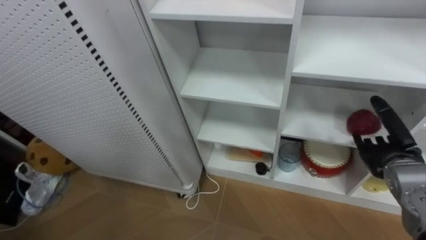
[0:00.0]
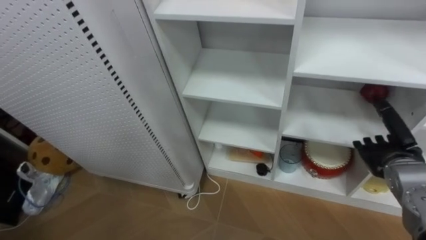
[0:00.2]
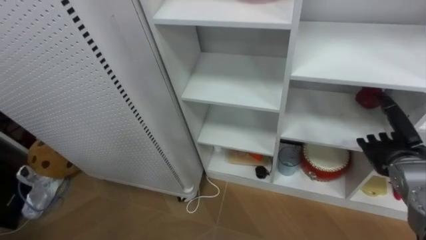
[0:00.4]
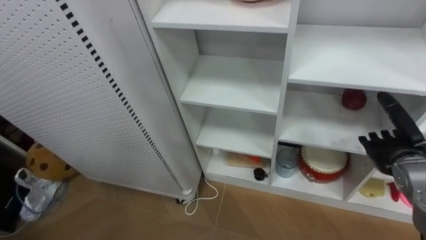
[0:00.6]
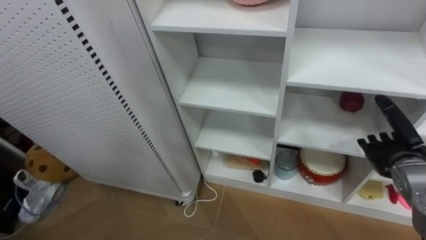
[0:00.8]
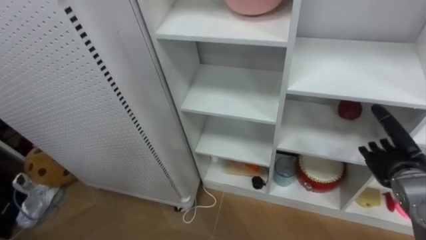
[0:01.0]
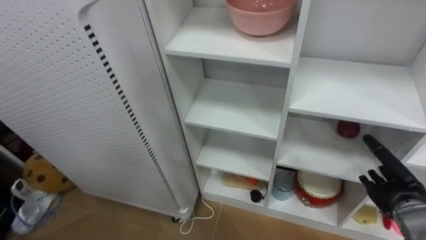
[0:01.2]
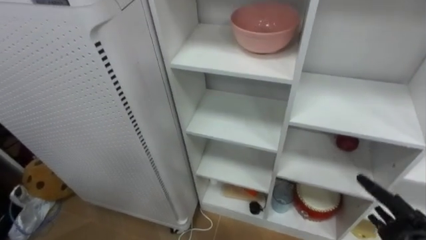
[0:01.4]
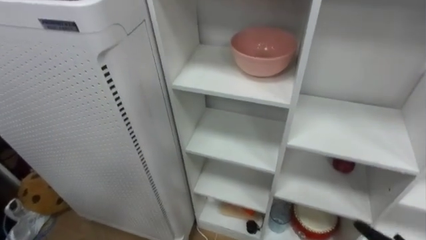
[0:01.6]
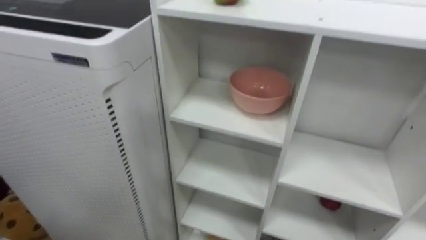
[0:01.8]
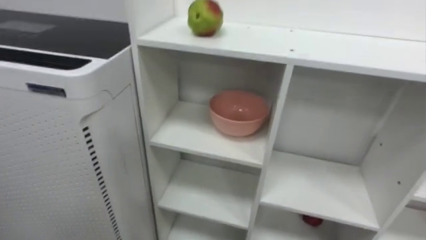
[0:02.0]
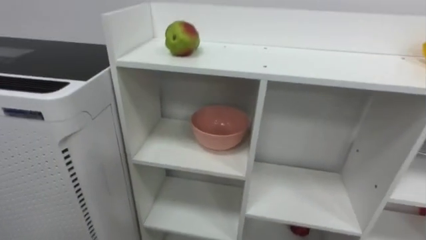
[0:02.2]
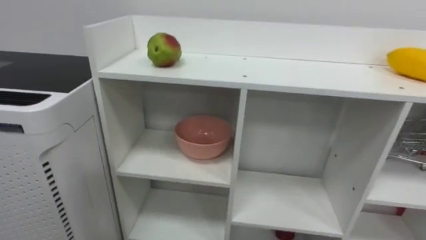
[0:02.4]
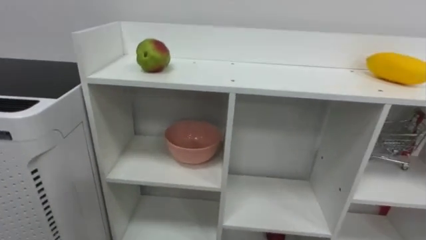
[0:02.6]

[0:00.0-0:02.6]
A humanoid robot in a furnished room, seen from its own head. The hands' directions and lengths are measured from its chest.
Task of the whole recording: Put the apple in the cell in the second column from the left and the second row from the top.
0:00.0 to 0:01.2: The right hand shifts approximately 5 cm downward.

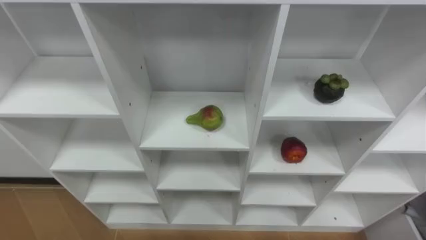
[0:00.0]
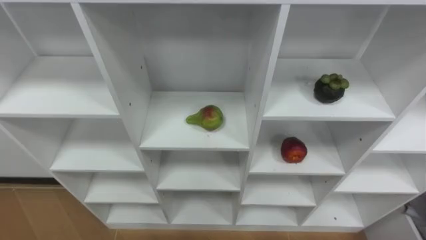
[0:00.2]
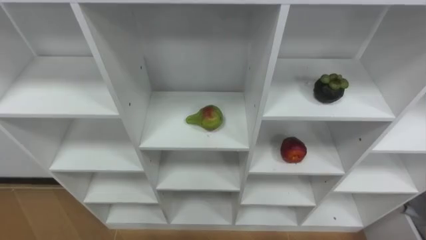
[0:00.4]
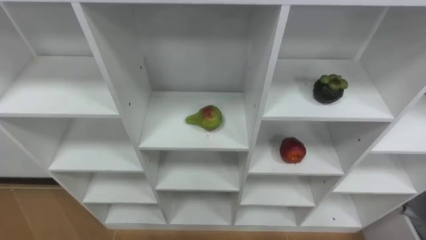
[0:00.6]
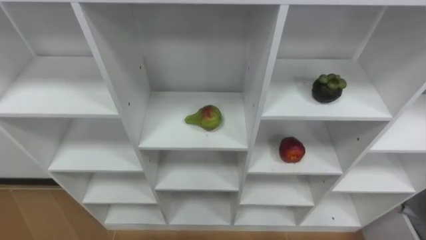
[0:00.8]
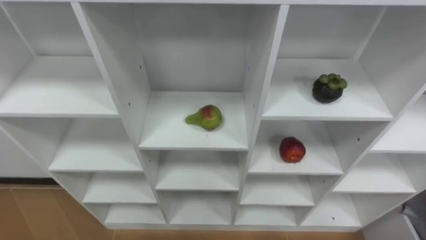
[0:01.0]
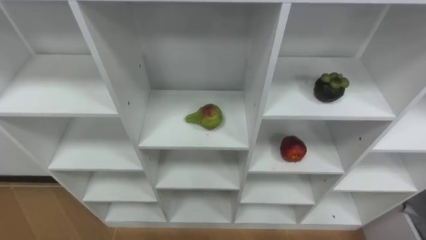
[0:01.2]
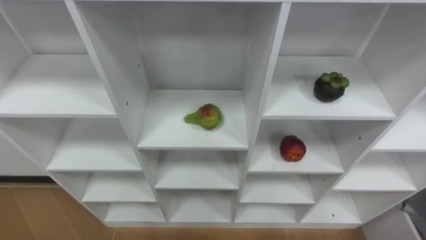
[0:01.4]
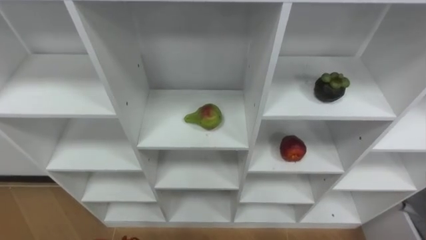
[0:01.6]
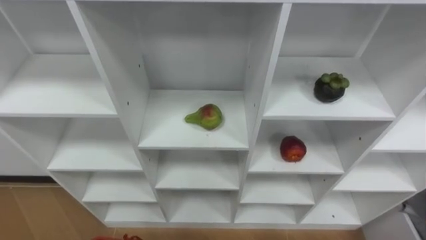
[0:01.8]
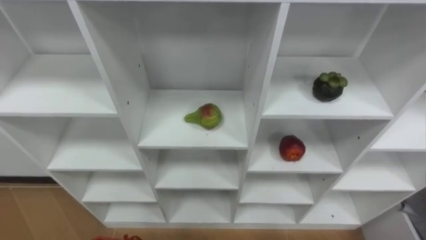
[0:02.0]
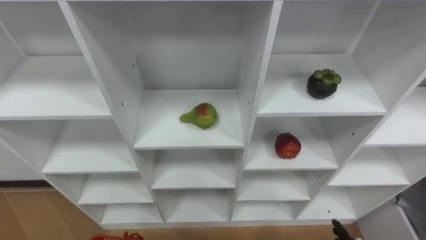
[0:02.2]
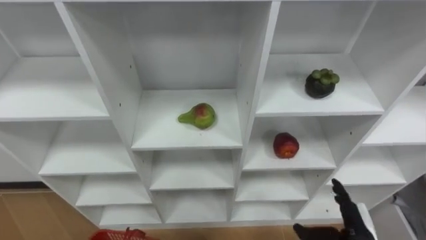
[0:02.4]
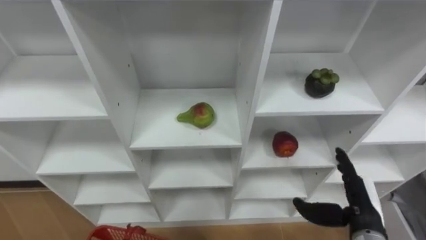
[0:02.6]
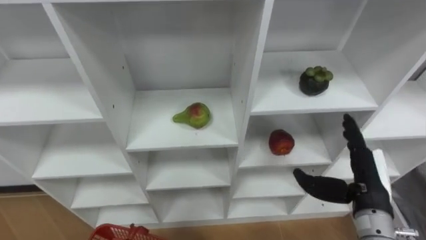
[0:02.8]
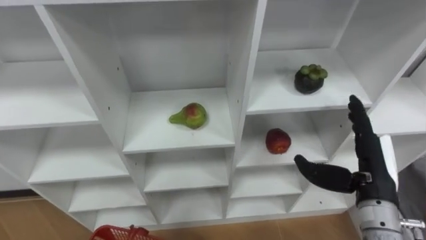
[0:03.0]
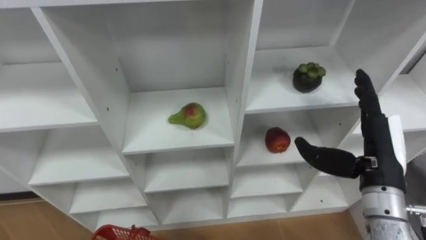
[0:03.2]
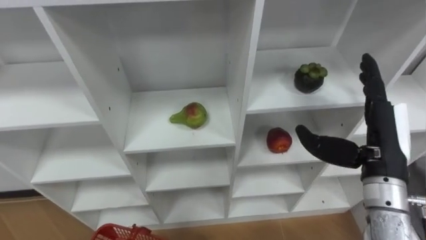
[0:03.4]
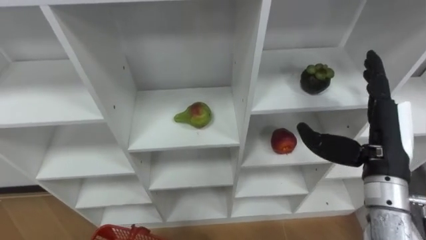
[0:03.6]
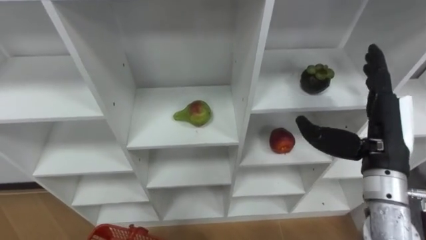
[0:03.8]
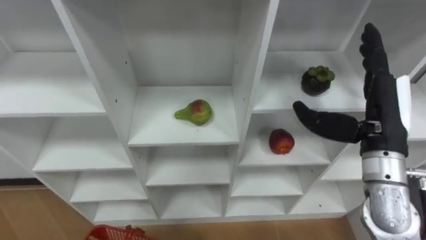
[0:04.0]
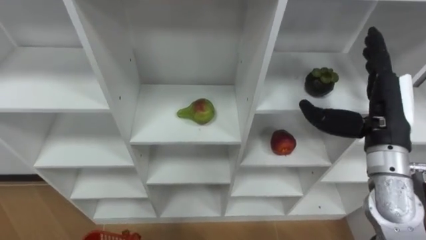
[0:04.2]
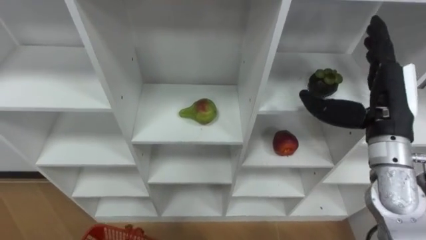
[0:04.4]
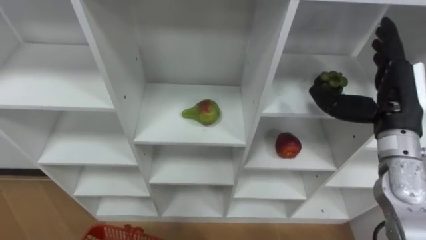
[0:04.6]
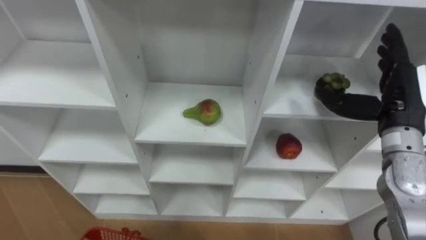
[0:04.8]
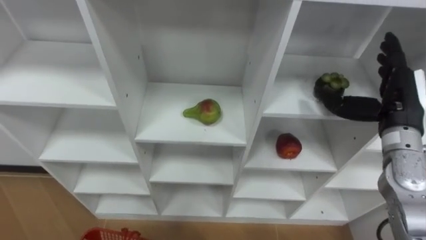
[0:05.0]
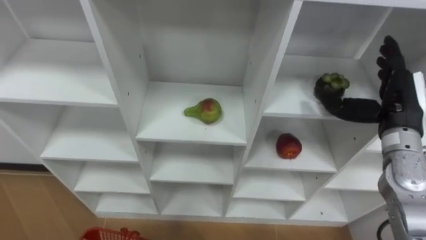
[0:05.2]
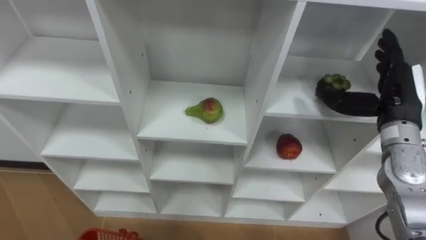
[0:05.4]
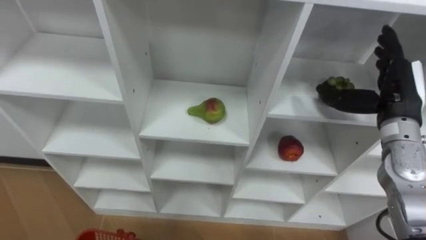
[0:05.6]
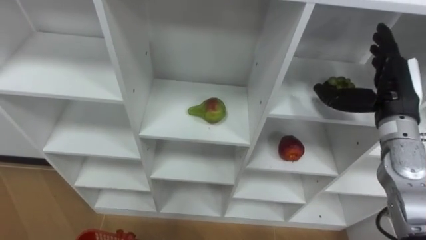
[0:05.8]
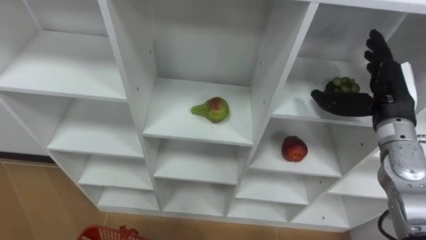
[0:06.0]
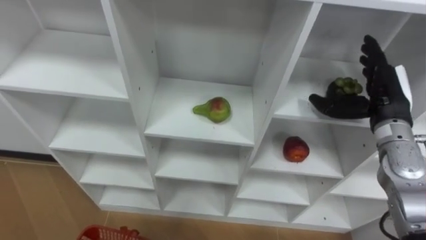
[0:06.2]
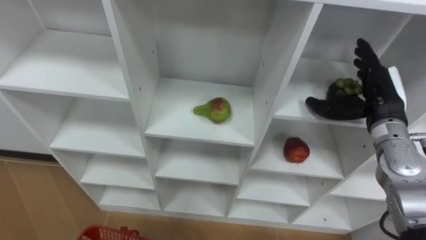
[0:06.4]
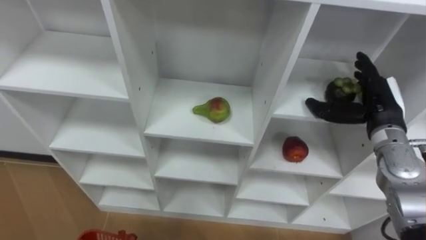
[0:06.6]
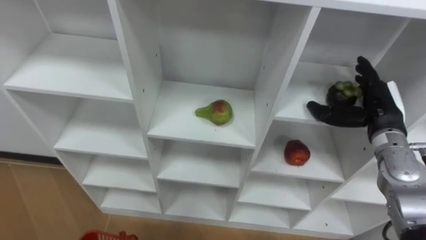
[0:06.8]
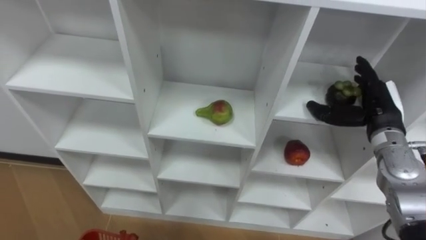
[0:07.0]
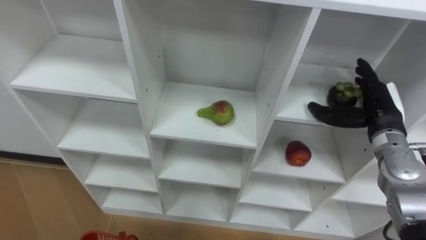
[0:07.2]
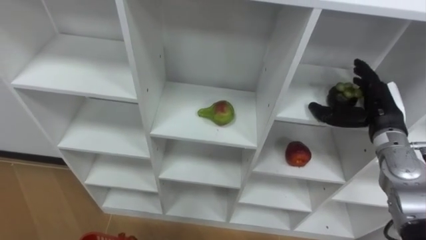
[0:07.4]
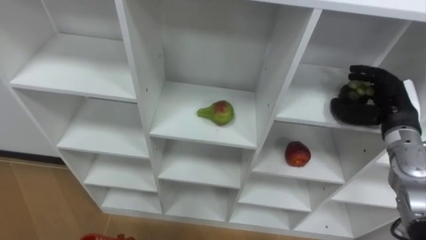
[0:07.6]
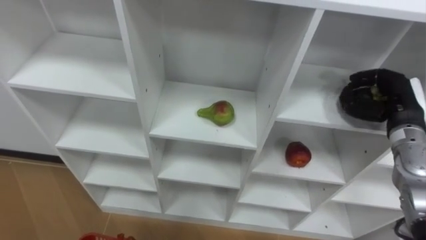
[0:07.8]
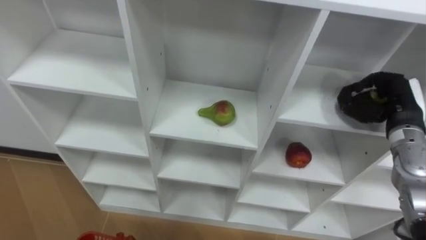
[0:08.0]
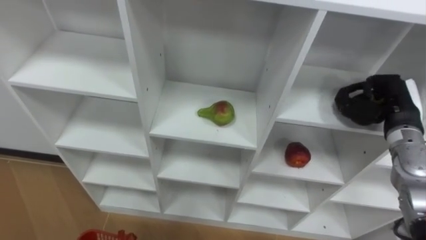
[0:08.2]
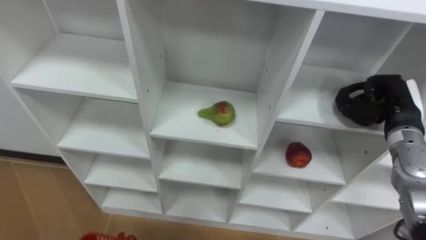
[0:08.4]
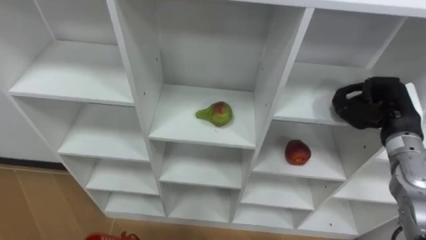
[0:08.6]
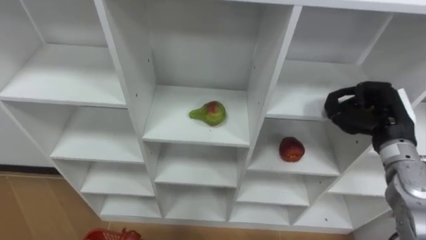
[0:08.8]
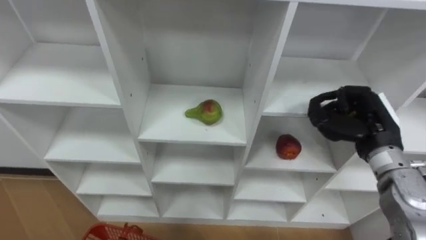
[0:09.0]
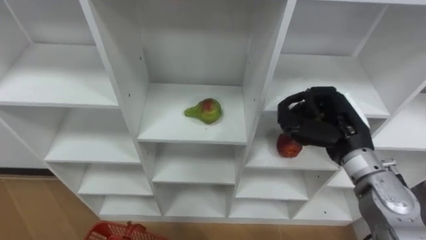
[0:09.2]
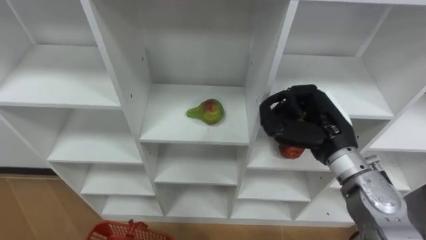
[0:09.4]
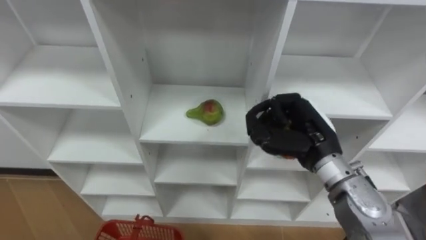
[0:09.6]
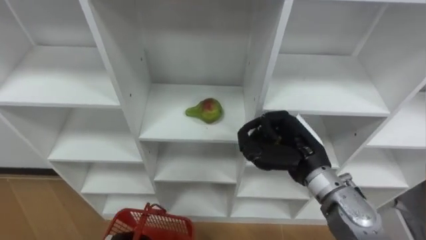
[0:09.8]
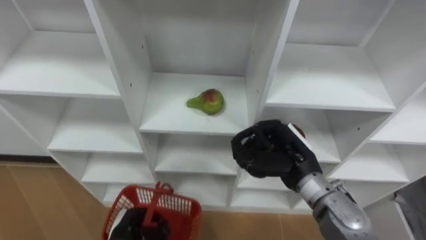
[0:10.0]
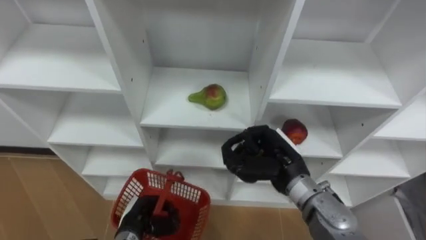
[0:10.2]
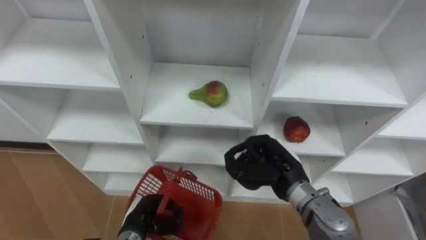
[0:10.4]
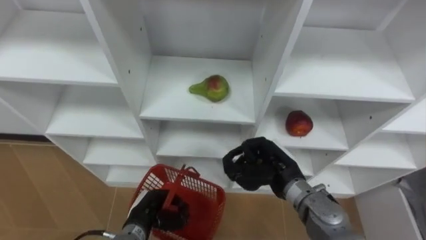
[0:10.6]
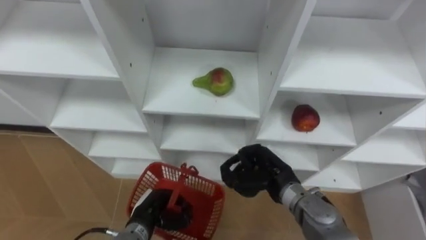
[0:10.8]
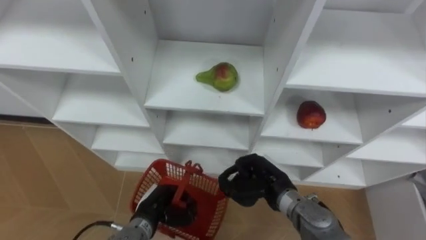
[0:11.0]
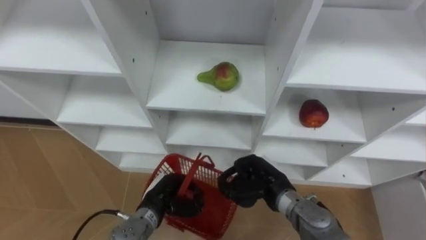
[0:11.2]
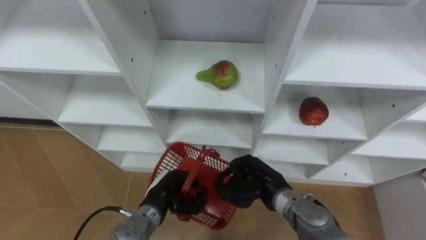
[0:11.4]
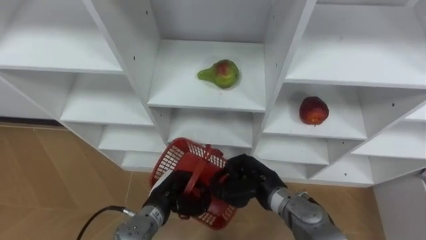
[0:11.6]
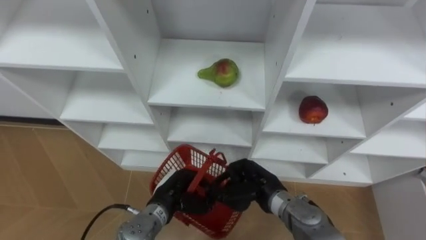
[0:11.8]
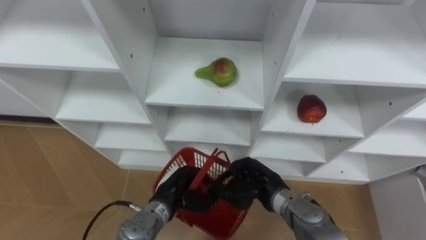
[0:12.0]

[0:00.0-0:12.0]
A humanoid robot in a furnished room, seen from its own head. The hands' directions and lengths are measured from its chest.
Task of the whole recording: Hold the basket and collect the fruits from 3 different cells of the closet into it.
0:03.0 to 0:04.4: The right hand heads upward and forward, covering about 10 cm.
0:04.4 to 0:06.0: The right hand shifts by some 5 cm.
0:06.0 to 0:07.6: The right hand heads downward, covering approximately 5 cm.
0:07.6 to 0:09.0: The right hand changes place by some 5 cm, and closes up.
0:09.0 to 0:10.4: The right hand moves to the left and downward, roughly 15 cm.
0:10.4 to 0:12.0: The left hand heads to the right, covering some 5 cm; the right hand shifts about 5 cm downward.

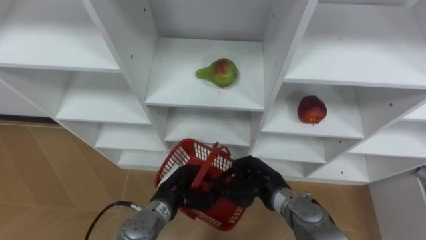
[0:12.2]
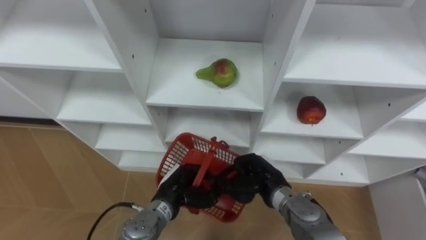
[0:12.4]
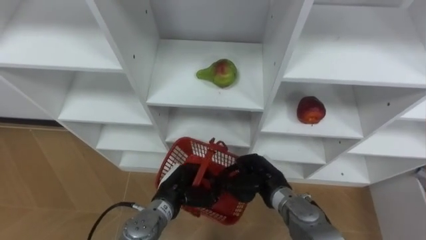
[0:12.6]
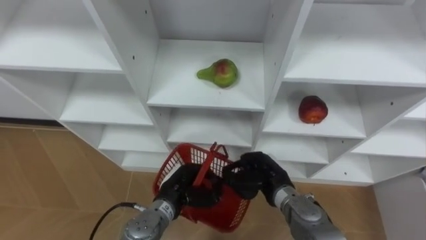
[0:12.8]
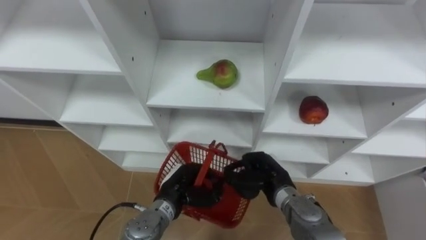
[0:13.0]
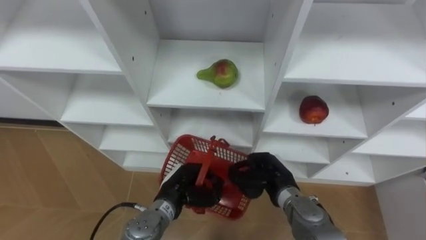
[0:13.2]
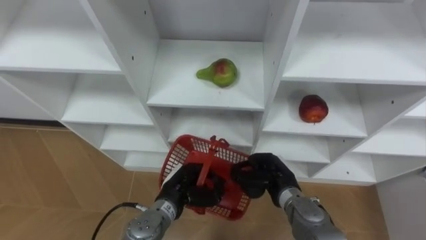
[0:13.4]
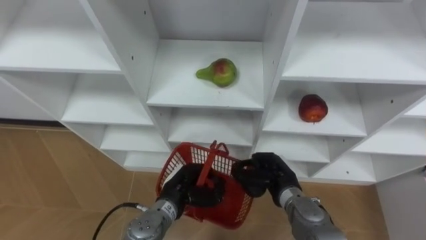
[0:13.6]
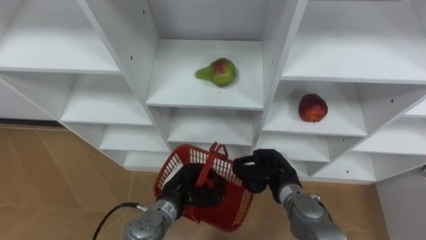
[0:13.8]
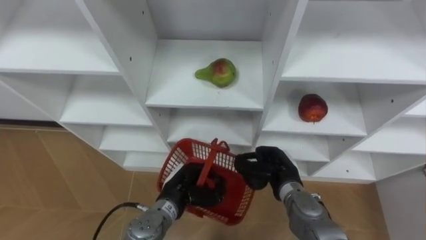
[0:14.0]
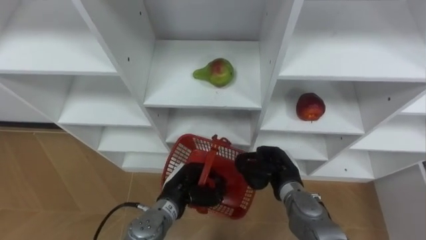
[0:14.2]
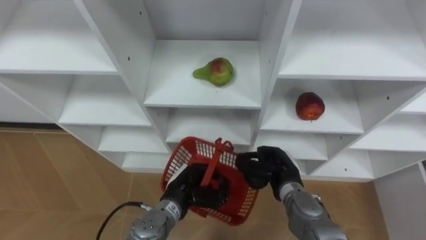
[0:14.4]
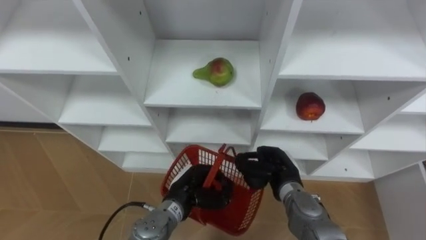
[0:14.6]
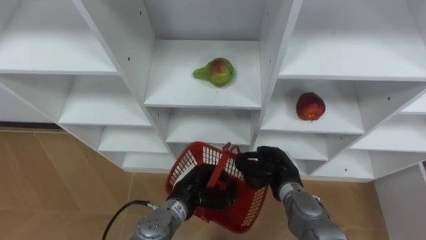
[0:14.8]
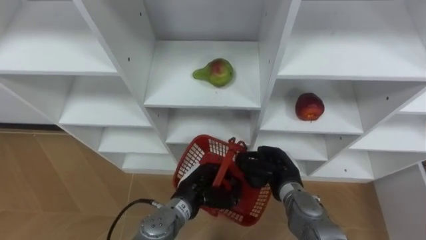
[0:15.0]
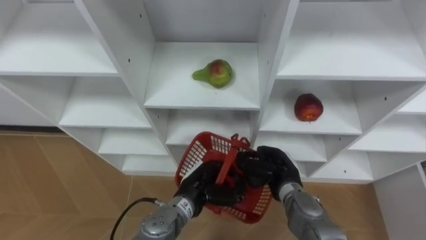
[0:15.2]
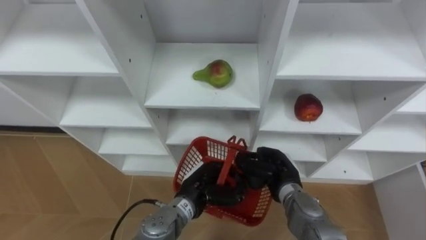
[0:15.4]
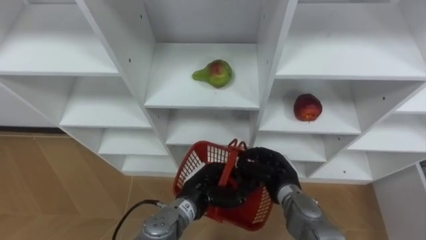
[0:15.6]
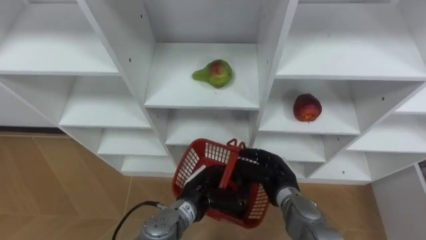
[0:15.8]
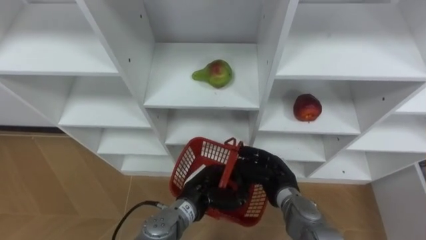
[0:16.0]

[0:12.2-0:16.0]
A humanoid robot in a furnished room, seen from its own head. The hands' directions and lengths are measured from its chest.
Task of the whole recording: Hold the basket and collect the fruits from 3 different cells of the closet into it.
0:12.2 to 0:13.4: The hands make only small movements.
0:13.4 to 0:14.8: The hands stay close to where they were, moving slightly.
0:14.8 to 0:16.0: The right hand opens.
